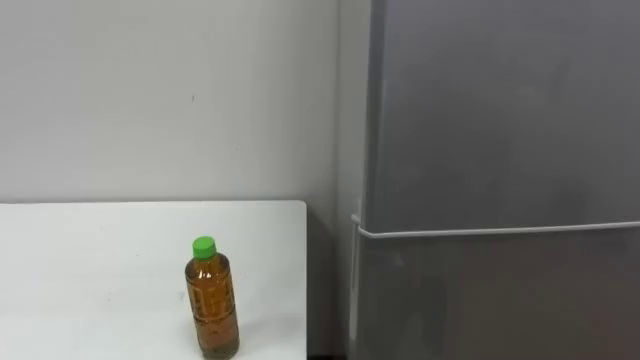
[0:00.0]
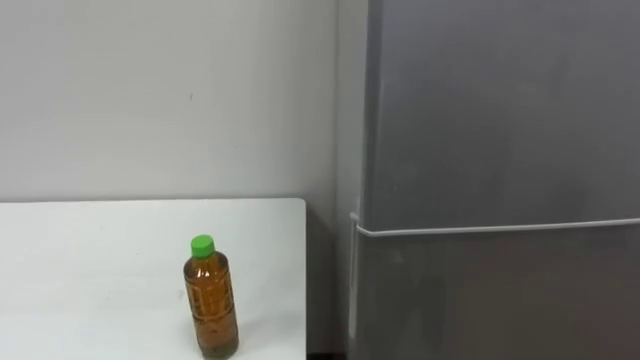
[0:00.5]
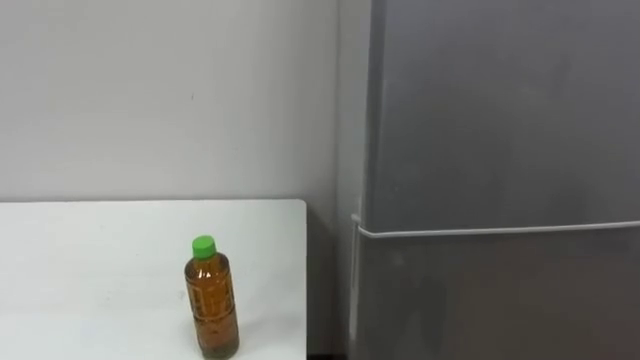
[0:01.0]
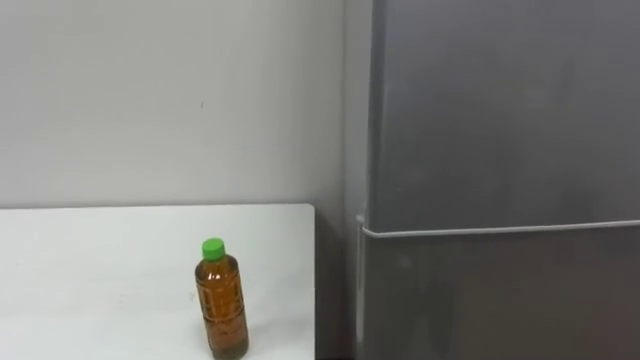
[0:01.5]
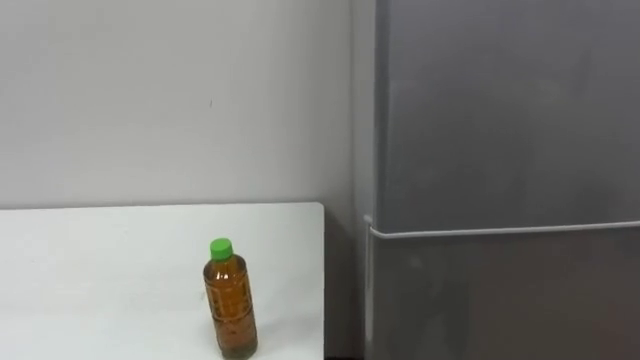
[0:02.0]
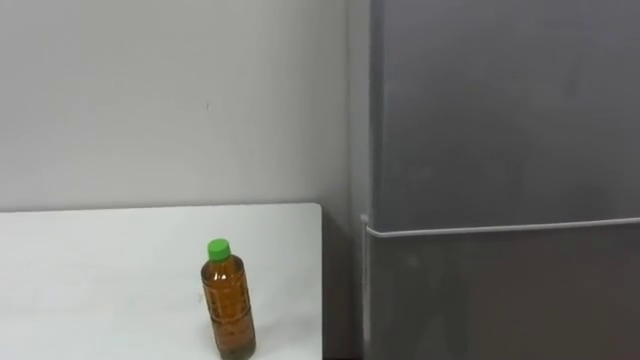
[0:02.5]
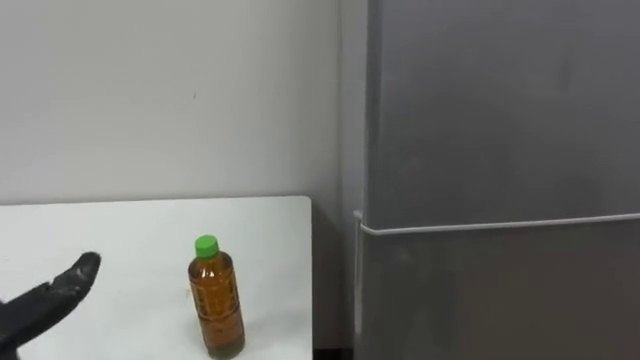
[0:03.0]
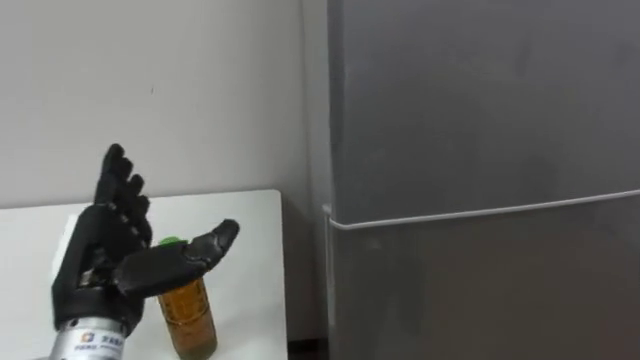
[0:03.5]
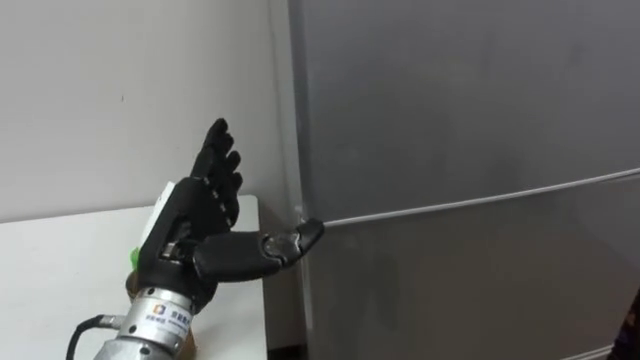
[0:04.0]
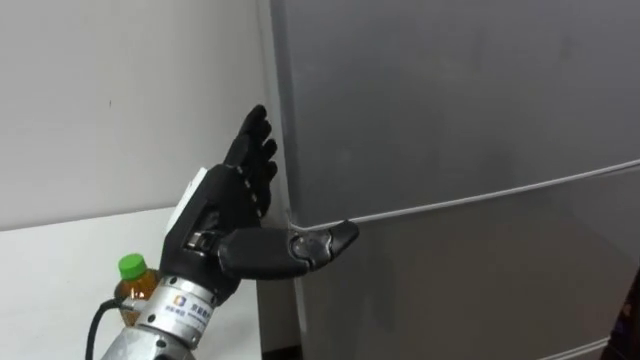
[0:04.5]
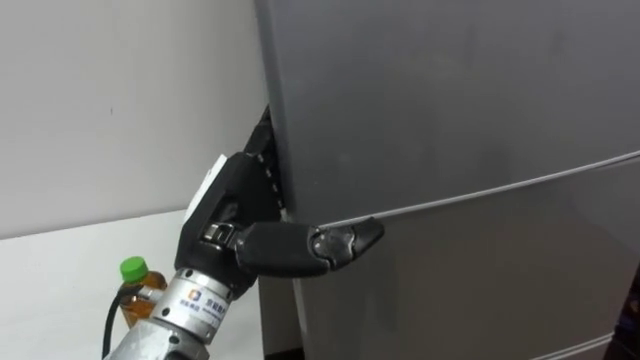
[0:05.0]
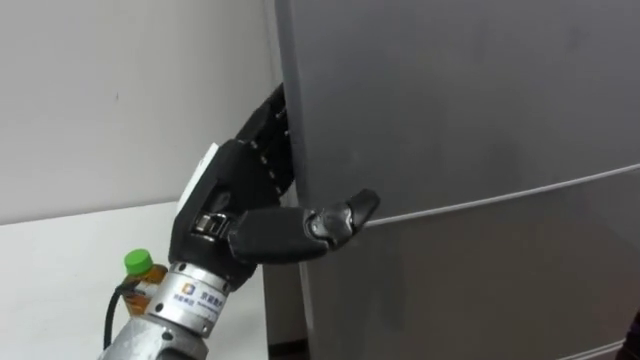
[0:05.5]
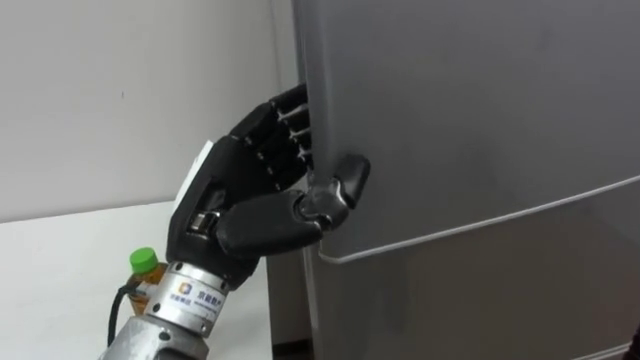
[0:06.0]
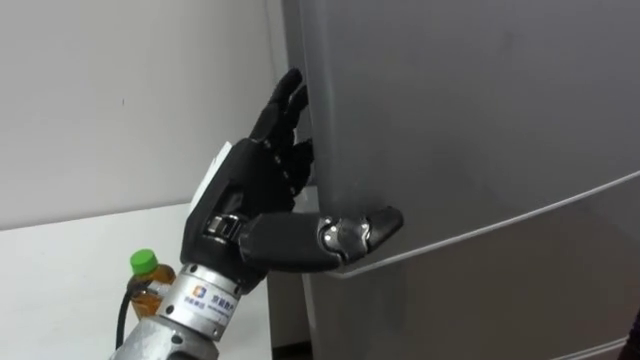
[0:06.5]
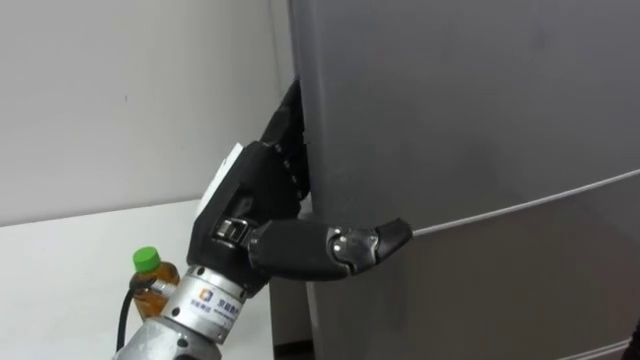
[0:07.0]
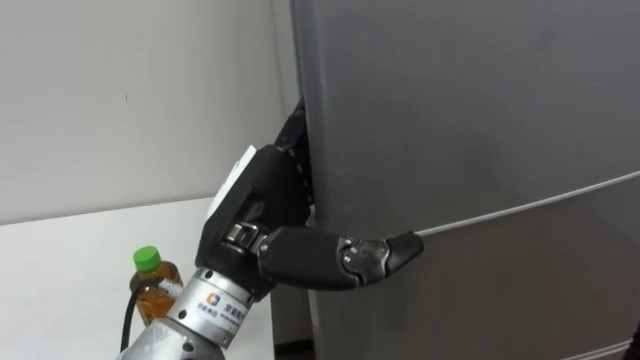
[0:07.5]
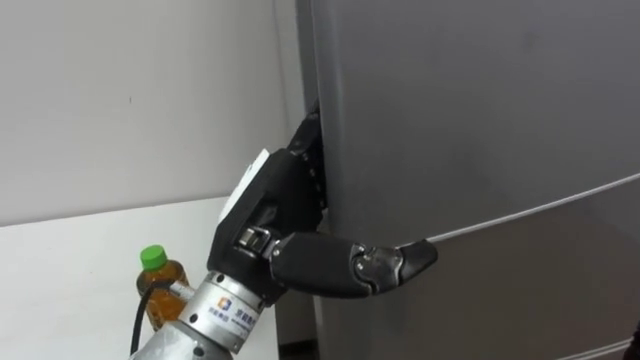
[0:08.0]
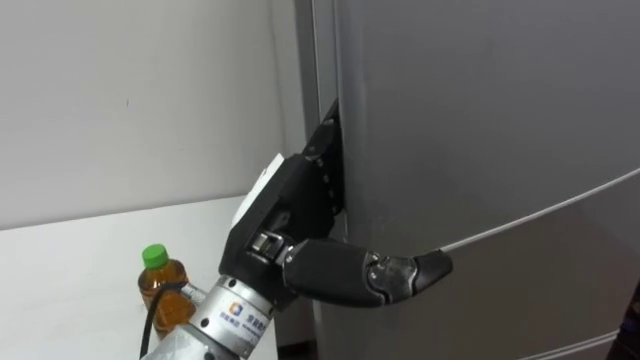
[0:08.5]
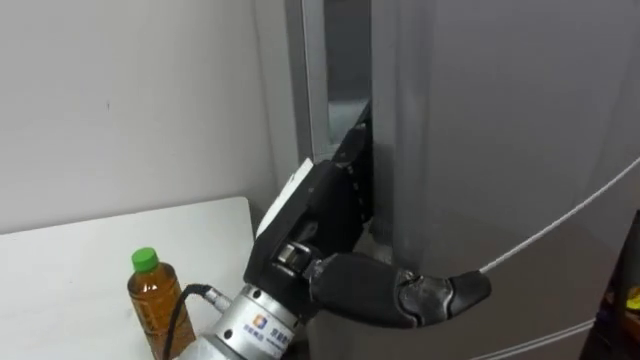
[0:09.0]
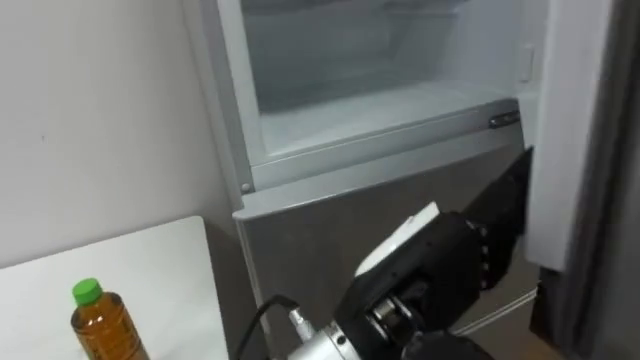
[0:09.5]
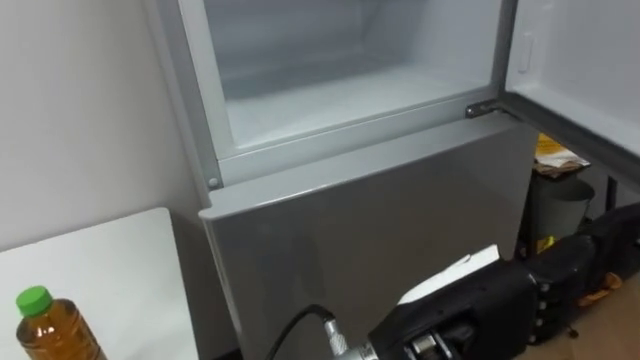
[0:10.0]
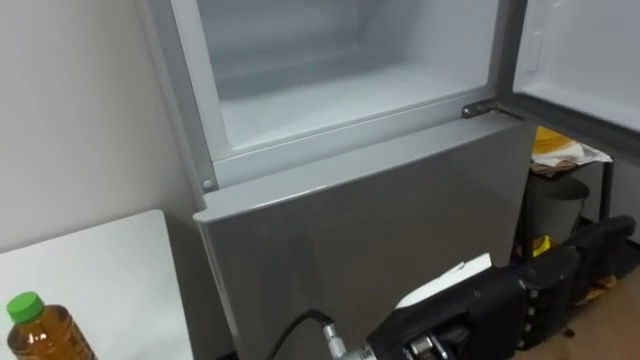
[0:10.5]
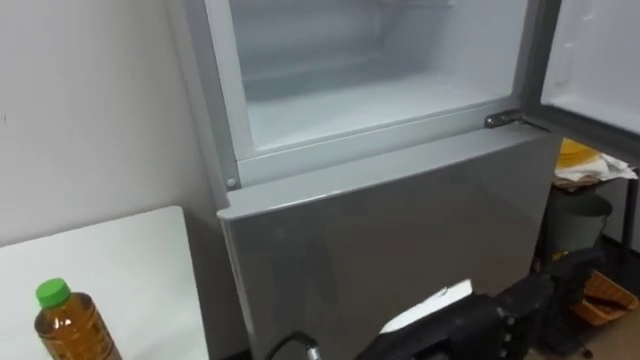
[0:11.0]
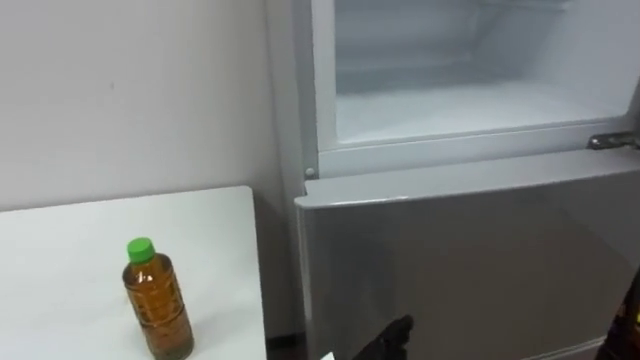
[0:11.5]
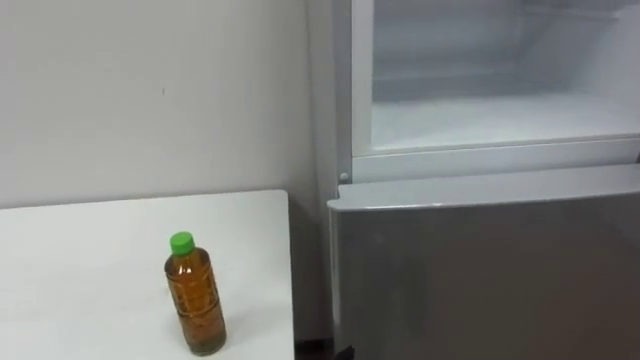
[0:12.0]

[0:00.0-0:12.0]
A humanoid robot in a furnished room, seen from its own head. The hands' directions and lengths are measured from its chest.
Task of the whole recording: Open the upper refrigerator door, put the drink from the table into the refrigerator, and then close the refrigerator door.
0:04.0 to 0:06.0: The left hand changes place by some 5 cm, and closes up.
0:06.0 to 0:08.0: The left hand opens.
0:08.0 to 0:10.0: The left hand goes about 15 cm to the right and backward.

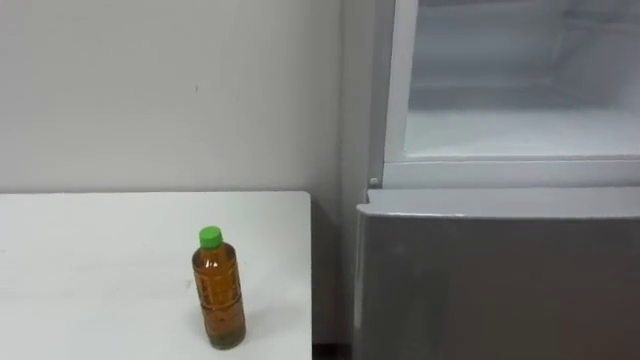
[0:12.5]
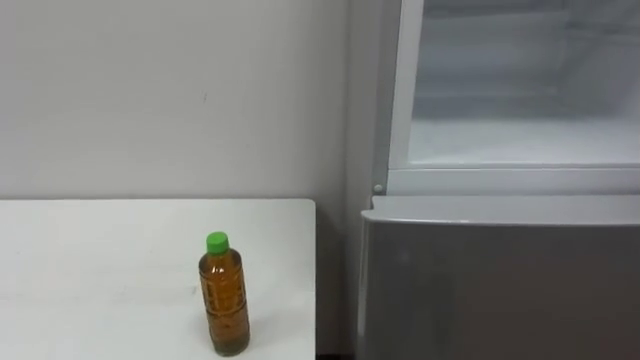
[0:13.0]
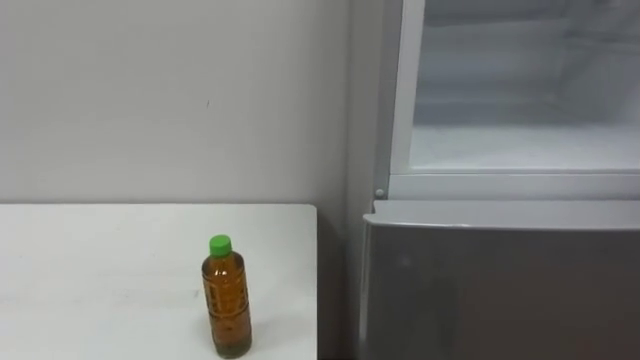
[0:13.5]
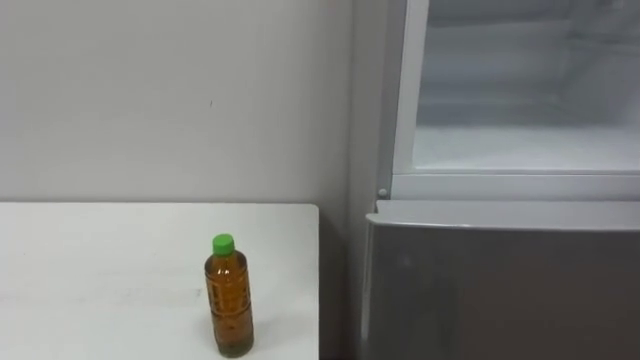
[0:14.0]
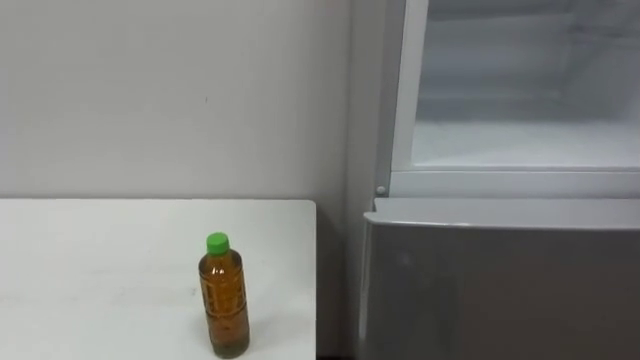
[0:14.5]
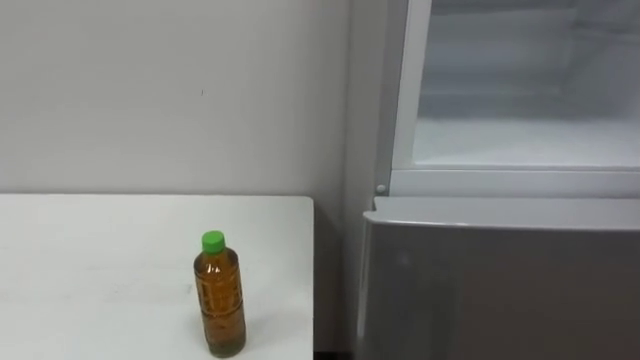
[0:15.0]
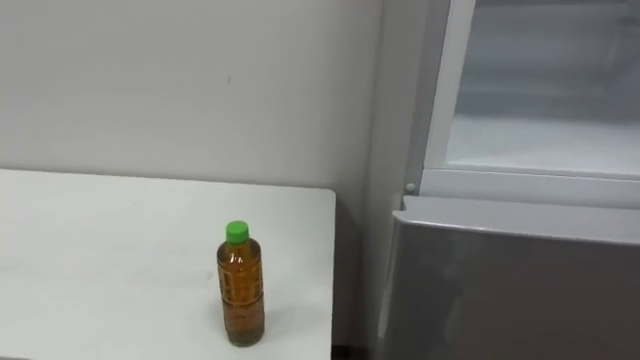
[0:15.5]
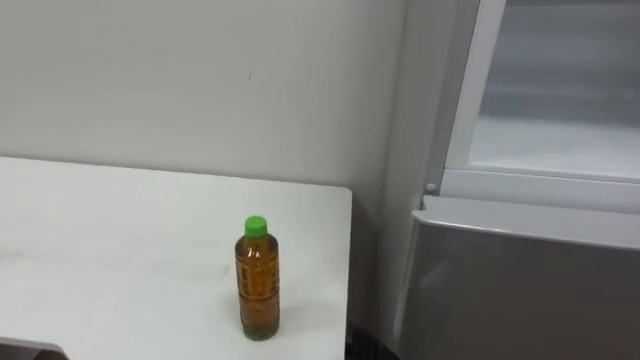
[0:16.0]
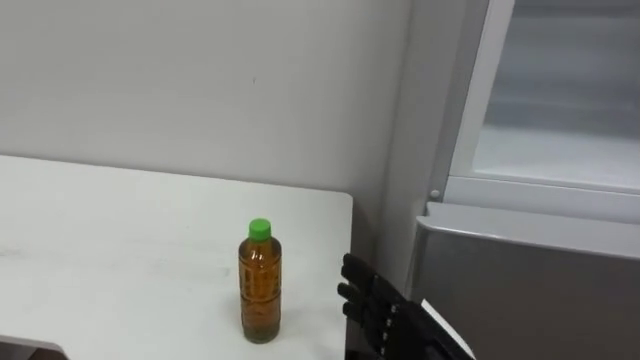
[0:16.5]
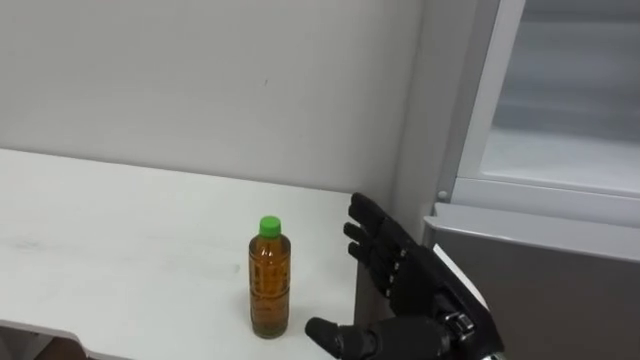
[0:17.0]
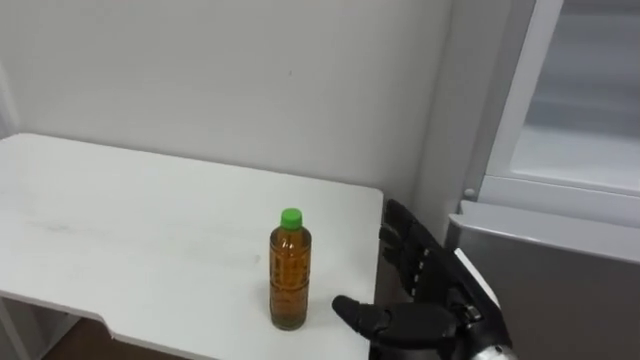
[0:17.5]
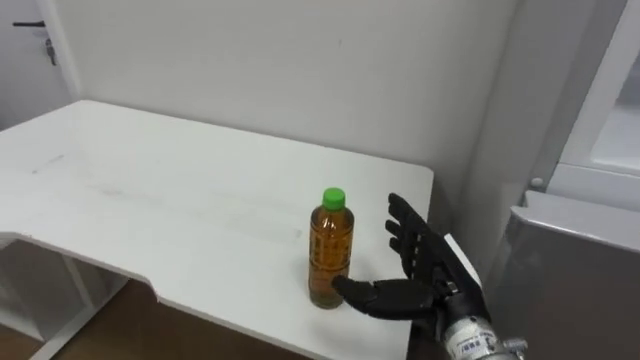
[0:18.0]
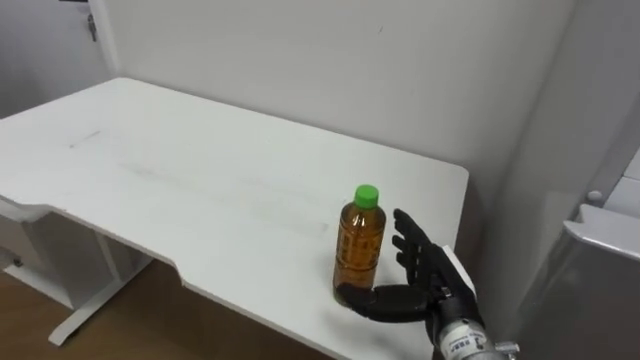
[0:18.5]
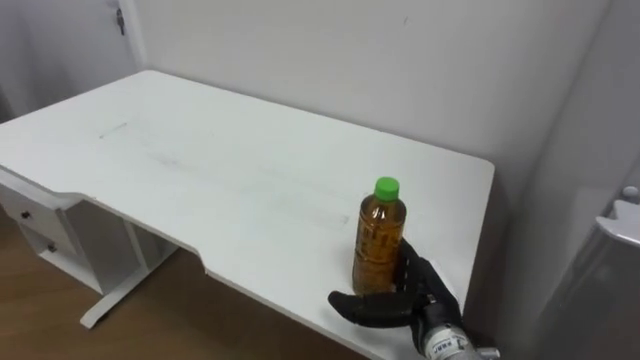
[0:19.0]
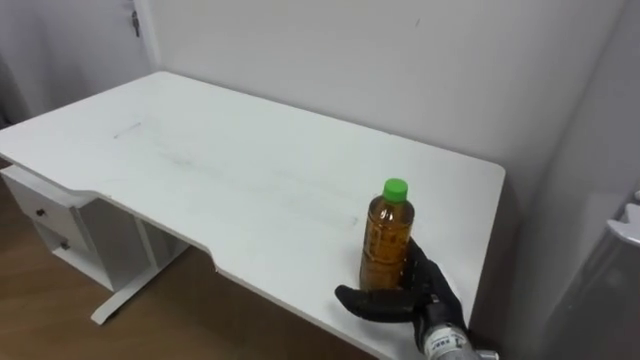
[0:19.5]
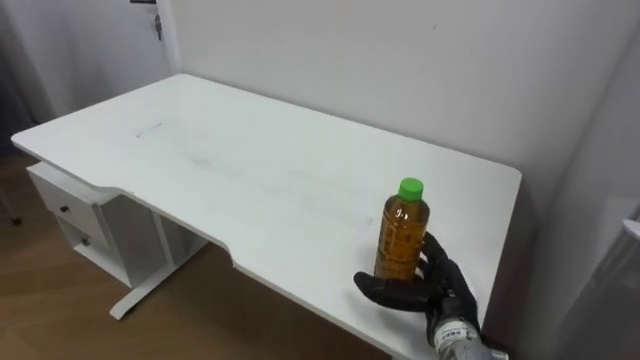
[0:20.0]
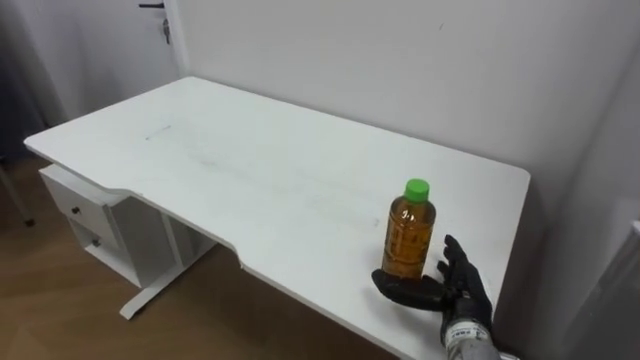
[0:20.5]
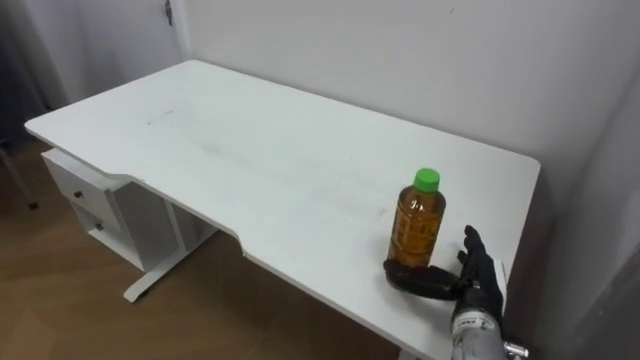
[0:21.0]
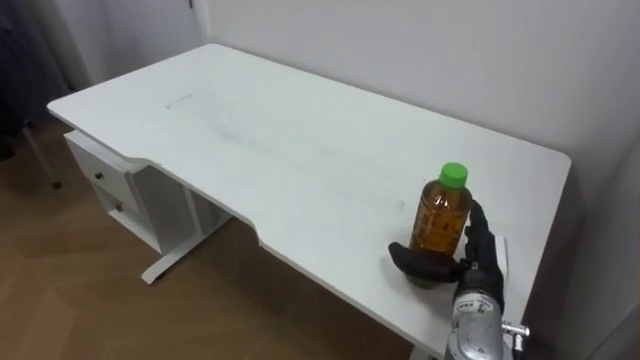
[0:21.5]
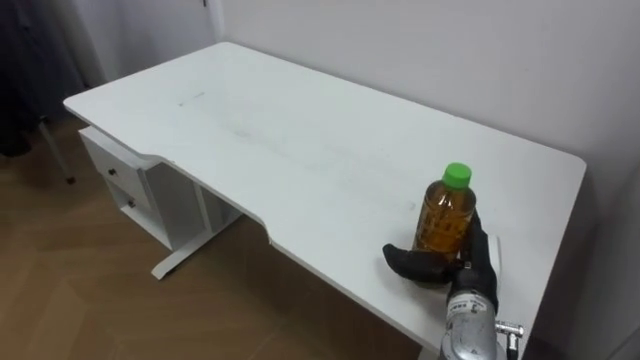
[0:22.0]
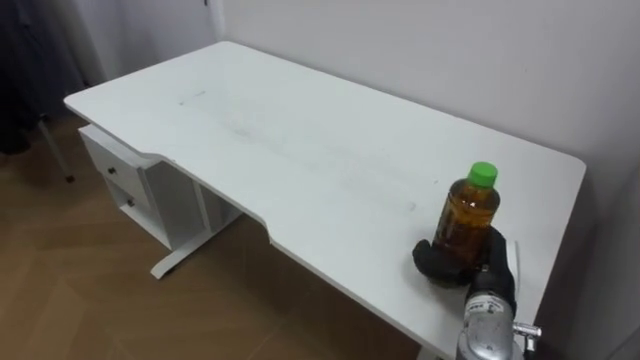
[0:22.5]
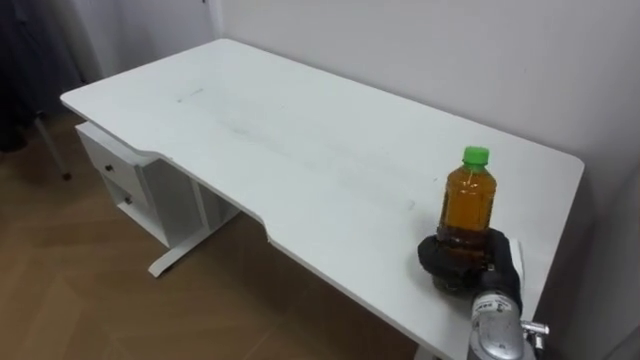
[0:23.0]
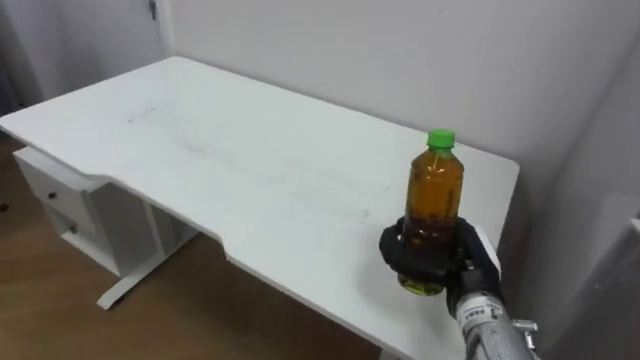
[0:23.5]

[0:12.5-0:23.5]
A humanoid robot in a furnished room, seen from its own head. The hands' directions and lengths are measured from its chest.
Task of the whole recording: Open the upper refrigerator door, put the drink from the table into the refrigerator, and then close the refrigerator door.
0:18.0 to 0:20.0: The right hand heads downward, covering approximately 5 cm.
0:20.0 to 0:21.5: The right hand shifts by approximately 5 cm.
0:21.5 to 0:23.5: The right hand closes its fingers.
